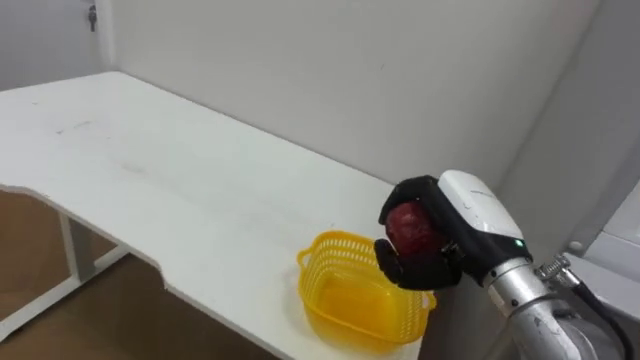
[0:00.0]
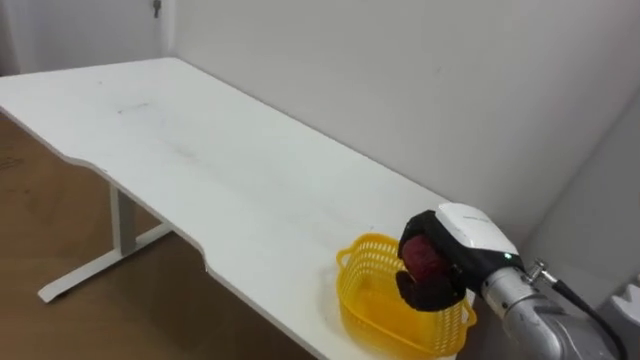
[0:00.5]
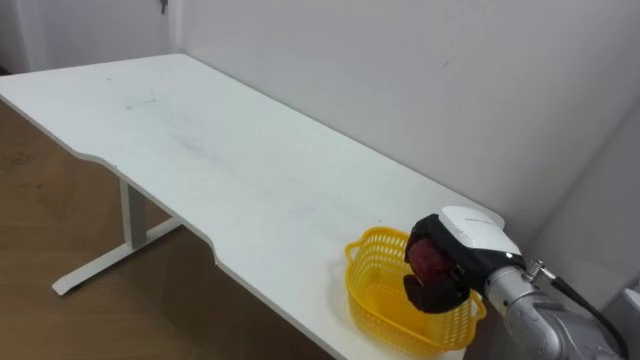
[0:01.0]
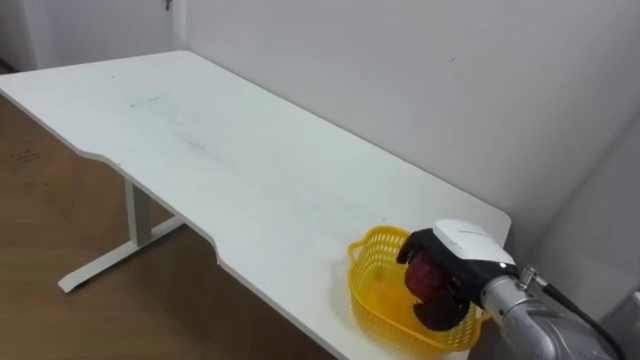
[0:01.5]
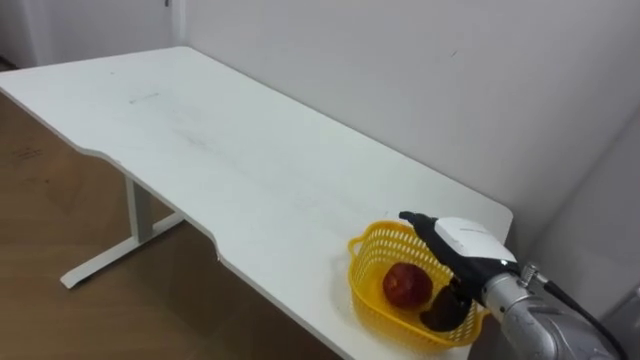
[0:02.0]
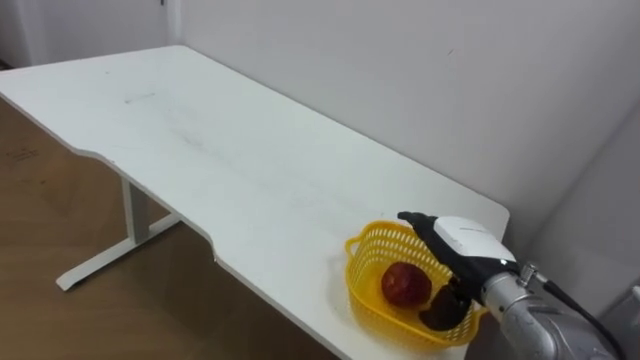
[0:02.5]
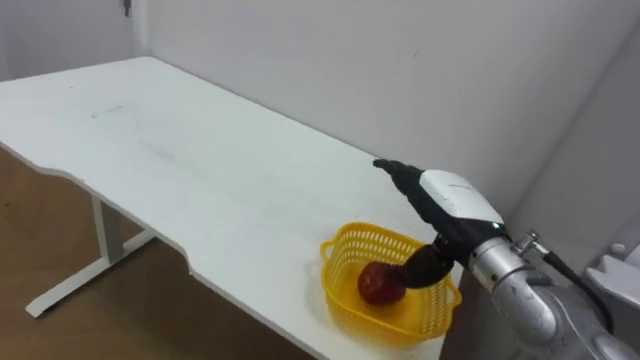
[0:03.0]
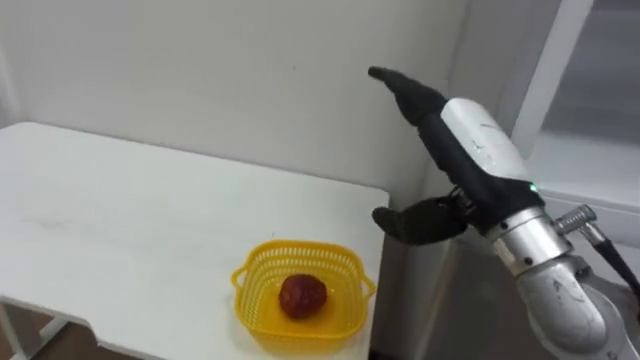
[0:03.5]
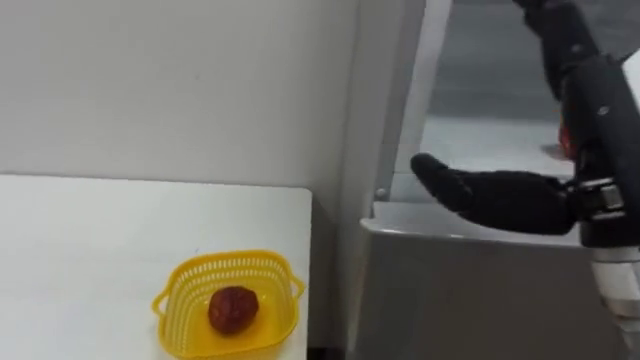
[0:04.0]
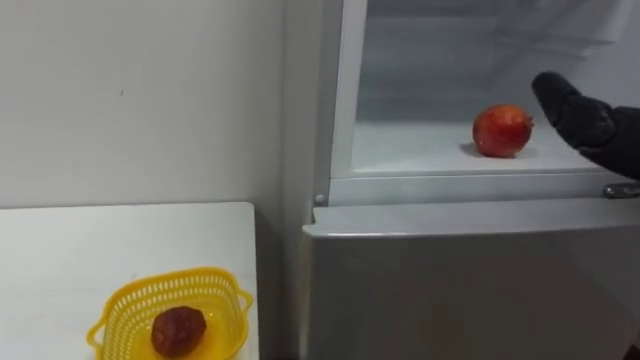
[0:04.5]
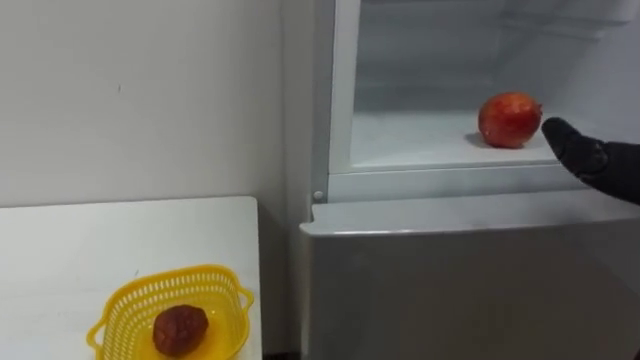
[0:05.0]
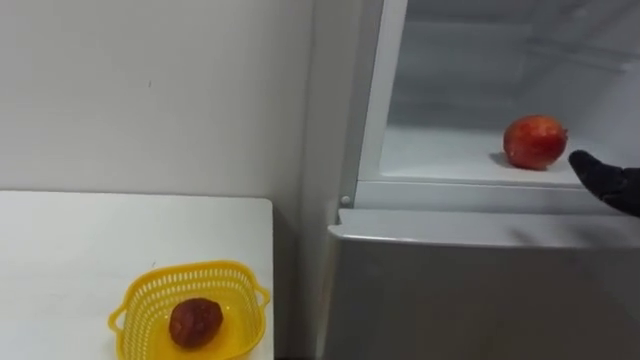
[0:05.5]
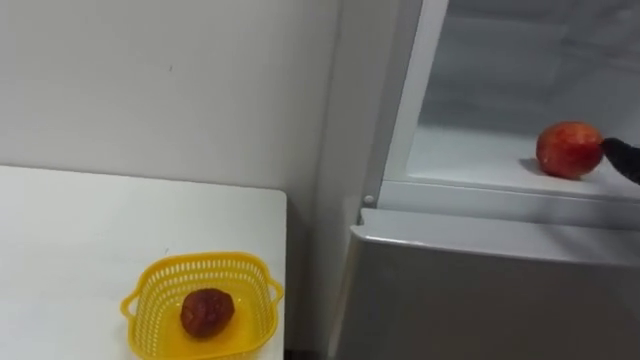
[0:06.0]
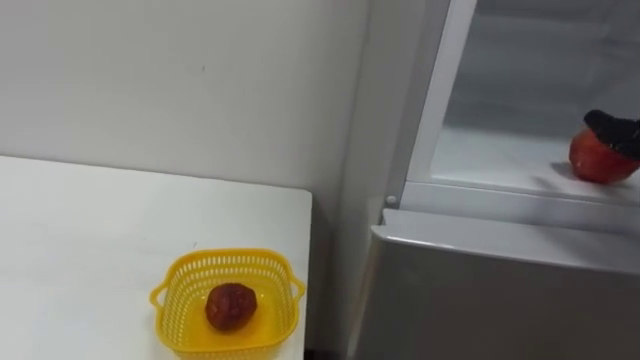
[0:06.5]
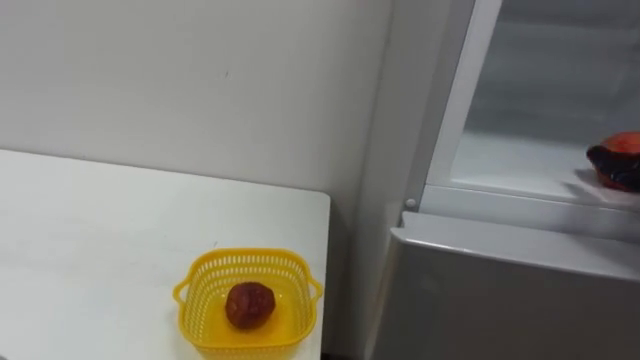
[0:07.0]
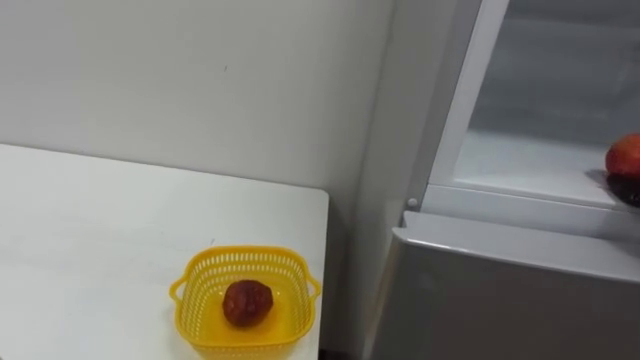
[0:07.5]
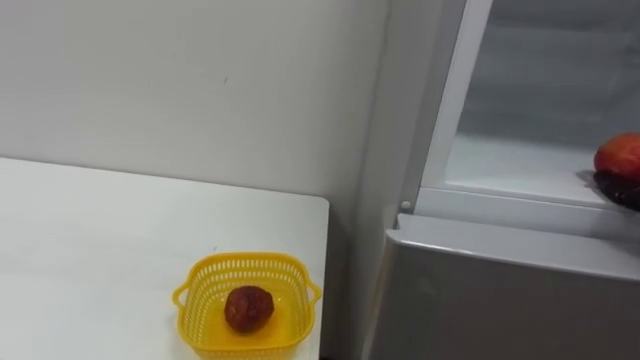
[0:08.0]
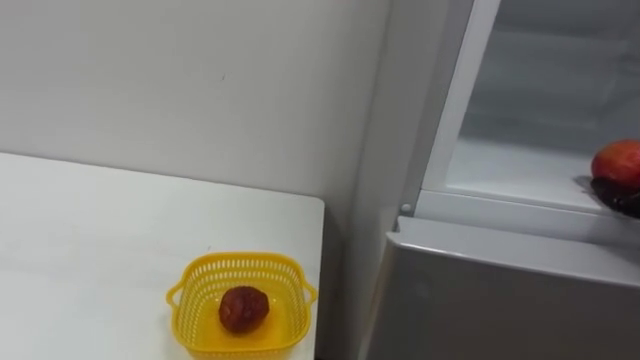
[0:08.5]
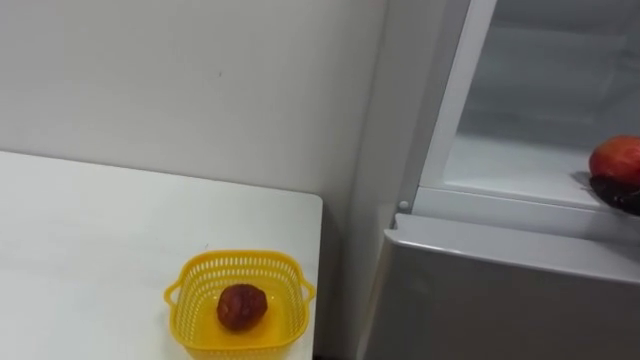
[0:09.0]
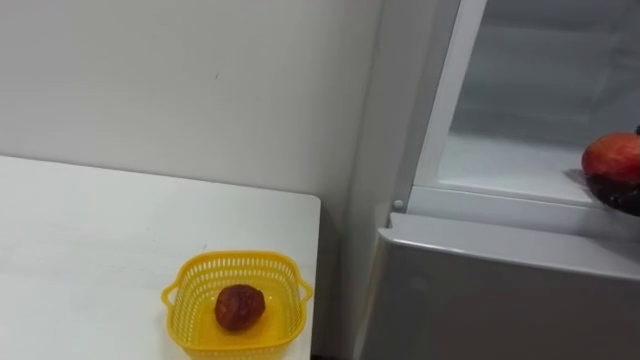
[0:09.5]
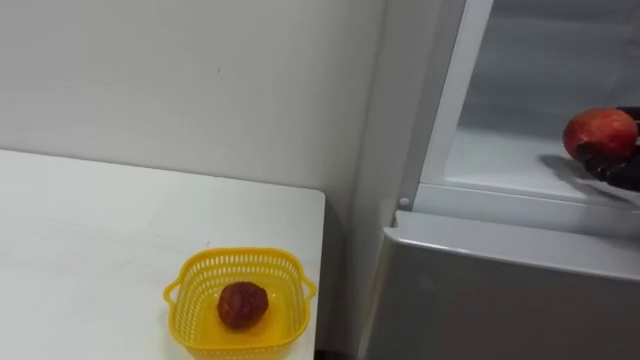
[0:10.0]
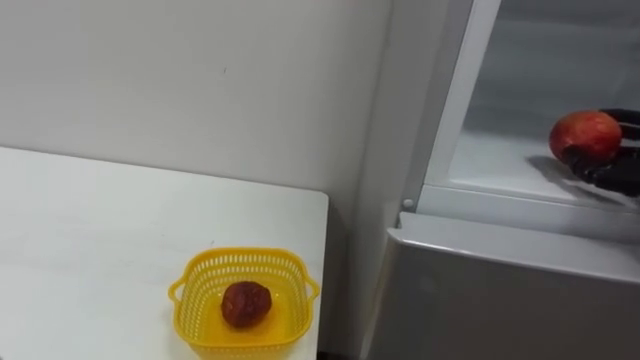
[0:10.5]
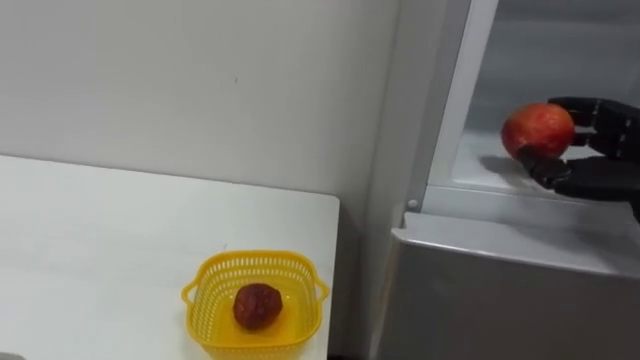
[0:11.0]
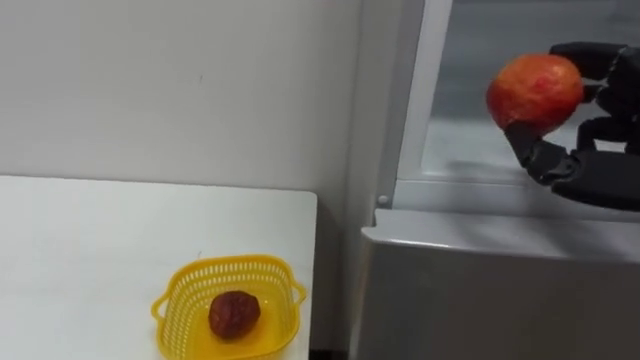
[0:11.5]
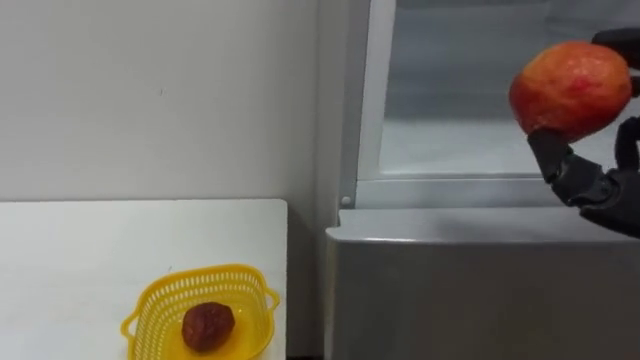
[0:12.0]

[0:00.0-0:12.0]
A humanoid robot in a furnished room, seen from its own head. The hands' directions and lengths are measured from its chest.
Task of the whole recording: Open the refrigerator door, take out the apple and the pomegranate, place them in the fruit basket on the left, and close the refrigerator door.
0:00.0 to 0:02.0: The right hand shifts about 10 cm downward, and opens.
0:02.0 to 0:04.0: The right hand heads upward and backward, covering roughly 25 cm.

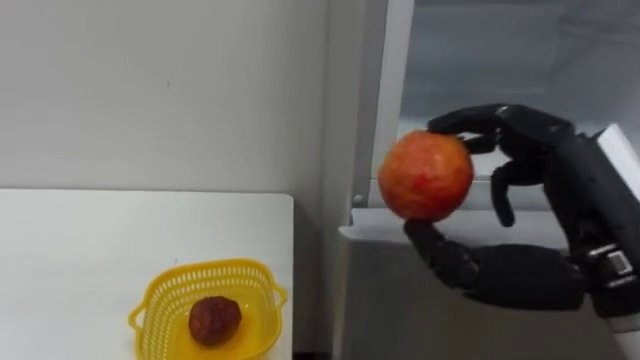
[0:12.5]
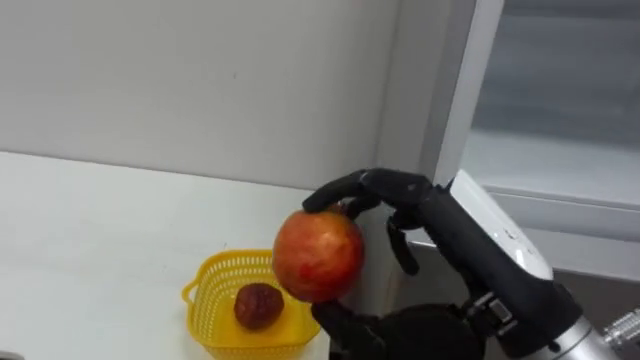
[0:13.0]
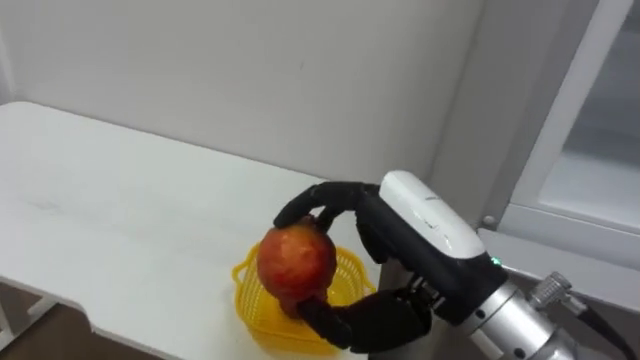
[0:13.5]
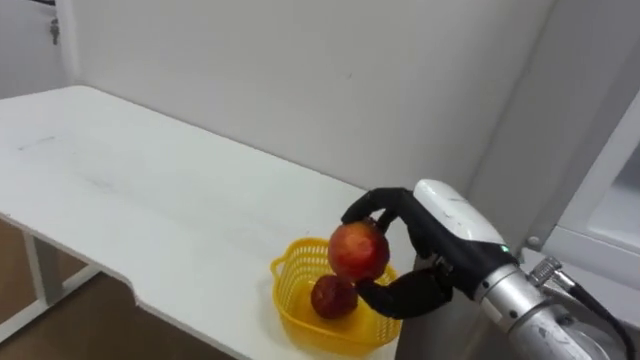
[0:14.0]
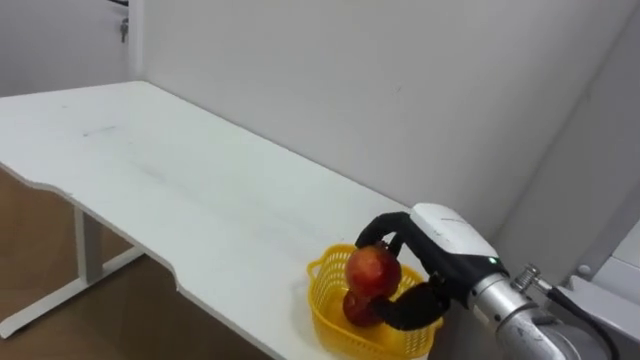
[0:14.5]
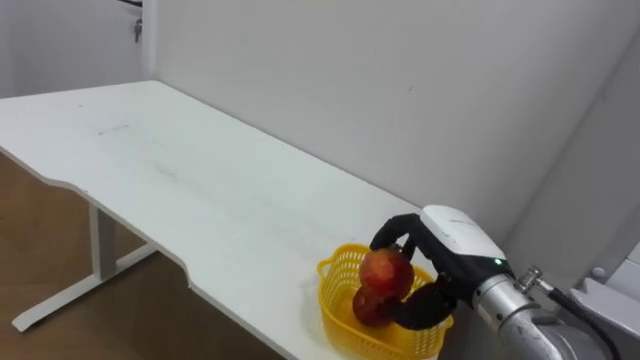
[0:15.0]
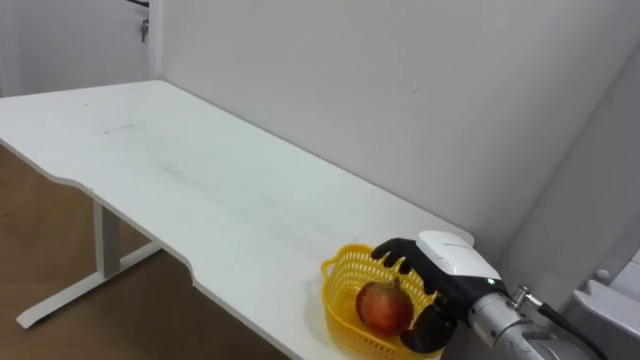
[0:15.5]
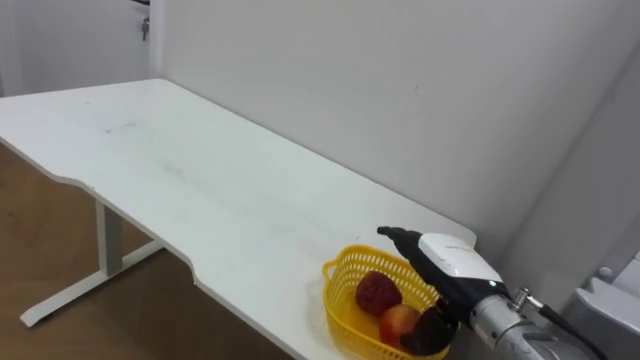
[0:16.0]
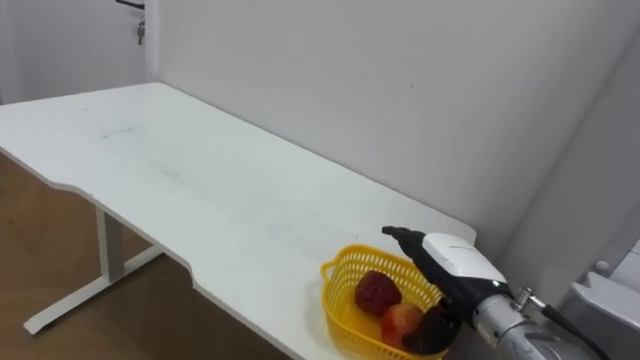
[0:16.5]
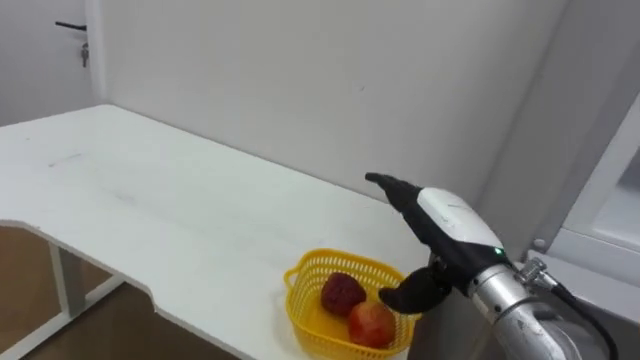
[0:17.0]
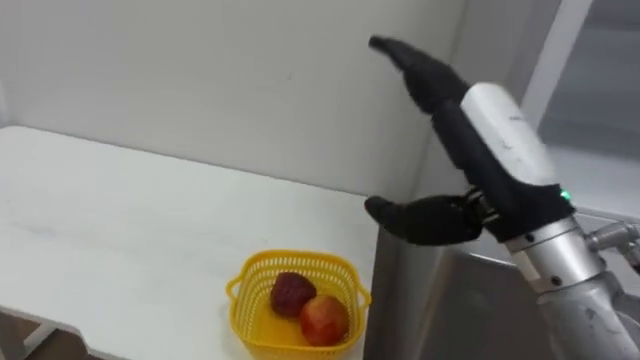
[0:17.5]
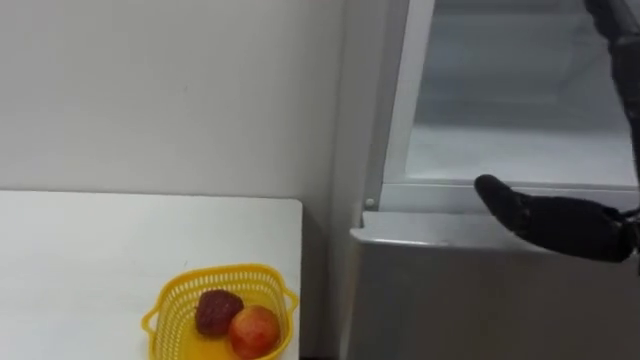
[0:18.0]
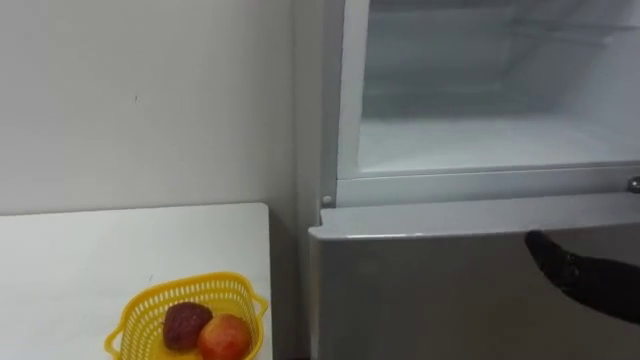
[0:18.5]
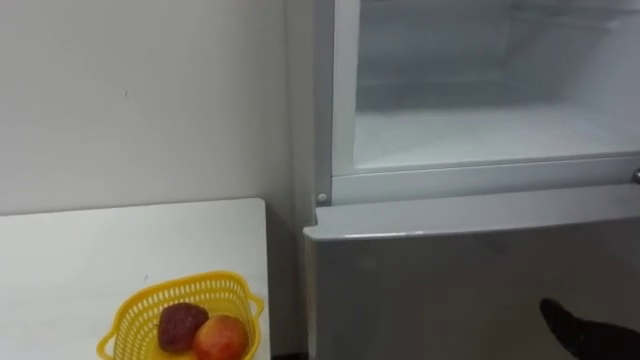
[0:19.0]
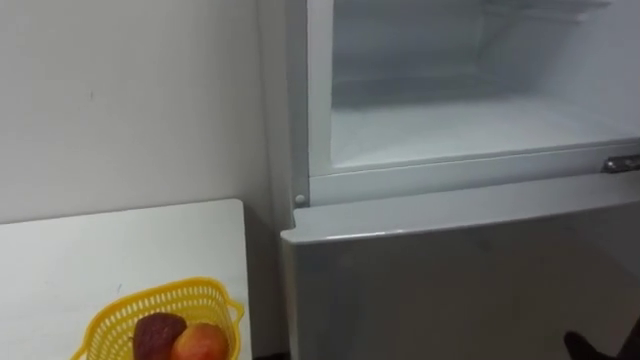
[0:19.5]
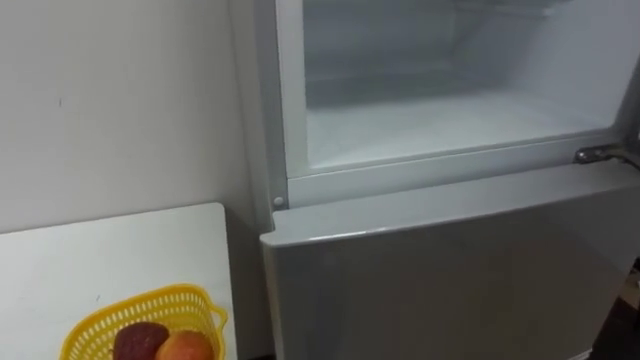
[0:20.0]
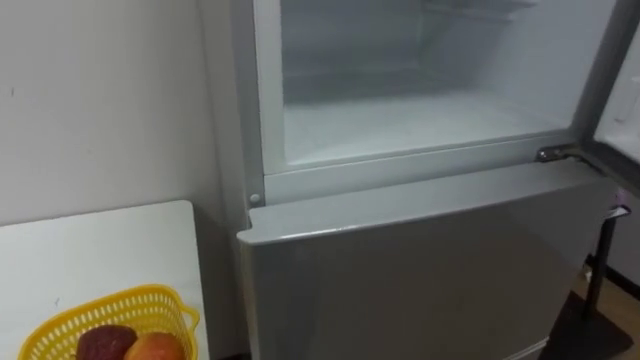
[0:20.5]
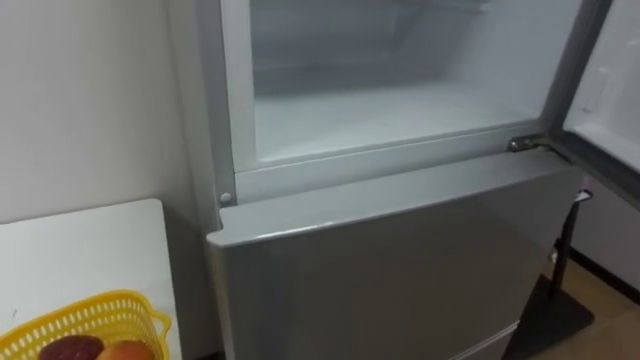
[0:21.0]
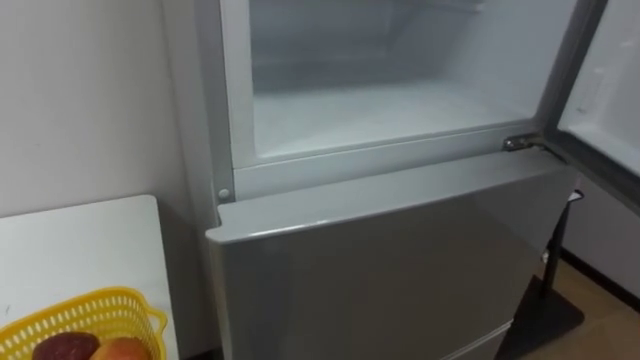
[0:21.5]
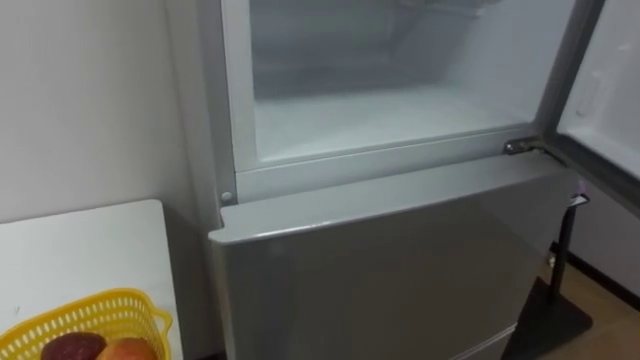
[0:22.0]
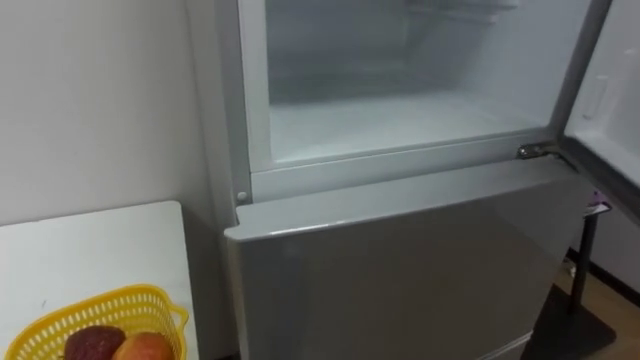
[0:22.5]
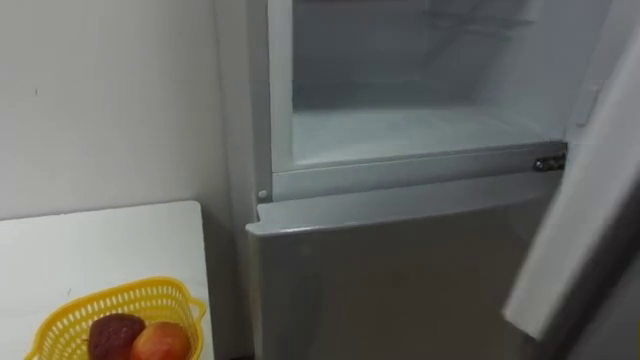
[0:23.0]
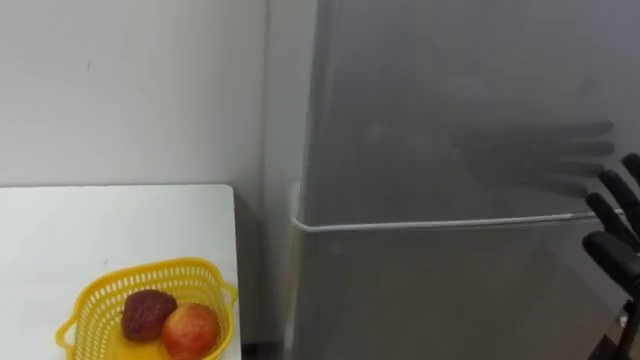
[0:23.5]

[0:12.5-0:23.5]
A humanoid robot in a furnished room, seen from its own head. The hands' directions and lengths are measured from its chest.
Task of the whole recording: Open the refrigerator door, take out the apple and the pomegranate, place them in the fruit basket on the left, and close the refrigerator door.
0:12.5 to 0:14.5: The right hand heads downward, forward and to the left, covering roughly 20 cm.
0:14.5 to 0:16.0: The right hand heads downward, covering some 5 cm, and opens up.
0:16.0 to 0:18.0: The right hand goes roughly 25 cm upward and backward.
